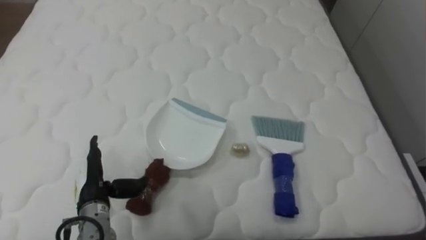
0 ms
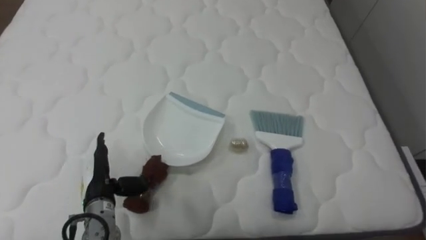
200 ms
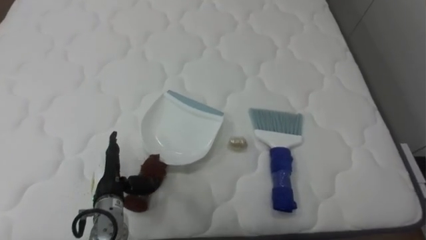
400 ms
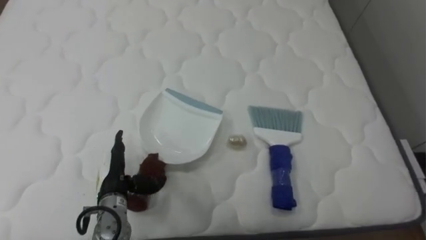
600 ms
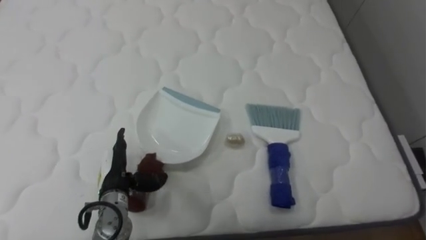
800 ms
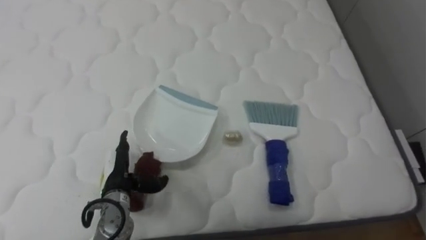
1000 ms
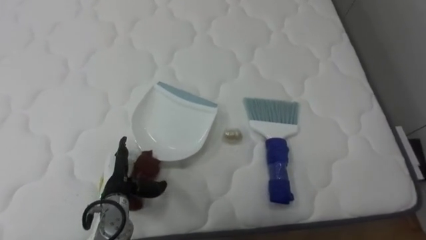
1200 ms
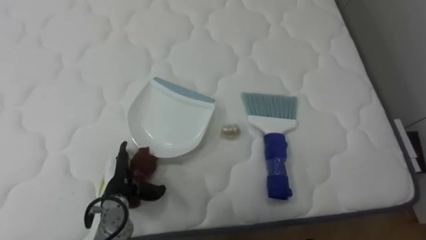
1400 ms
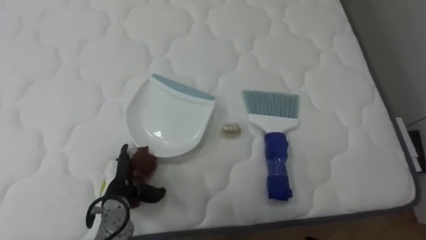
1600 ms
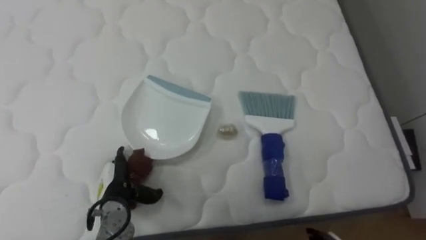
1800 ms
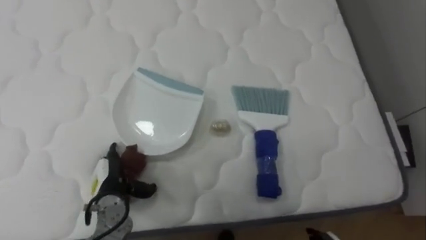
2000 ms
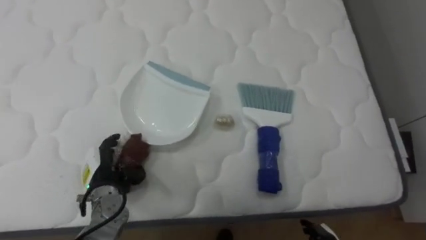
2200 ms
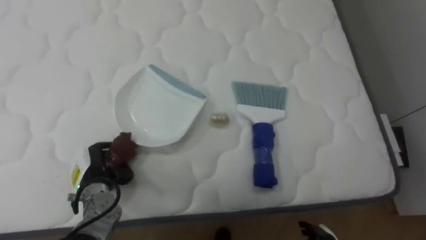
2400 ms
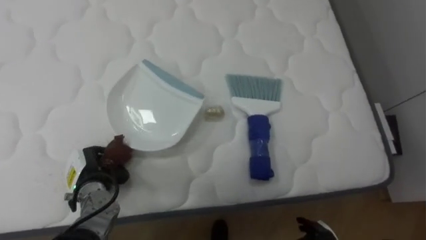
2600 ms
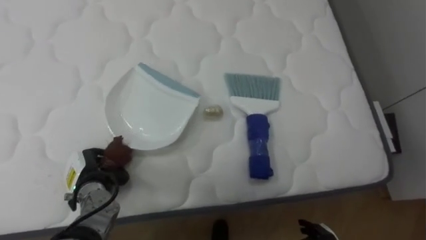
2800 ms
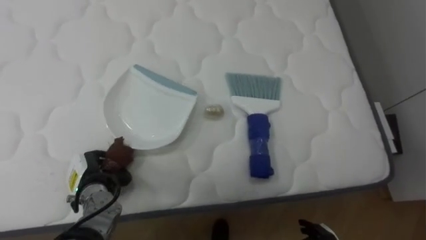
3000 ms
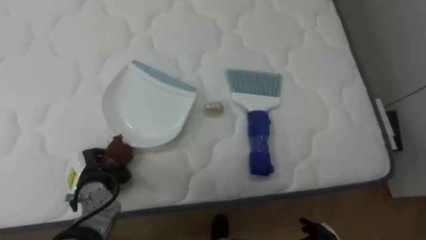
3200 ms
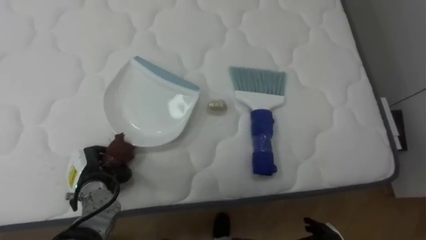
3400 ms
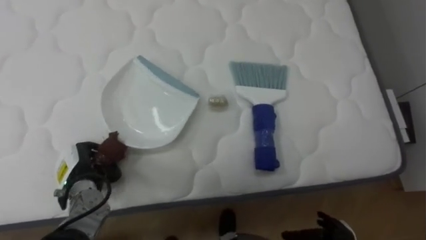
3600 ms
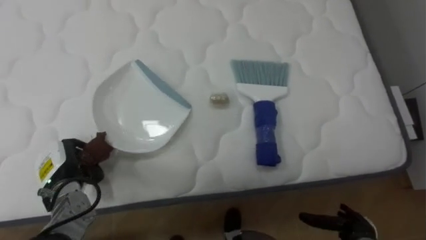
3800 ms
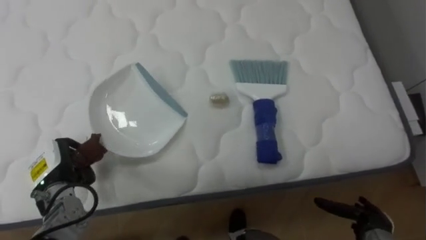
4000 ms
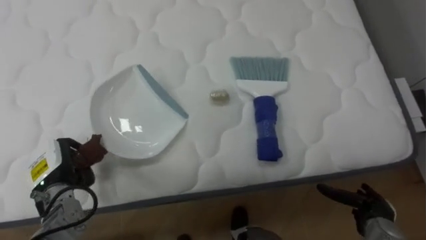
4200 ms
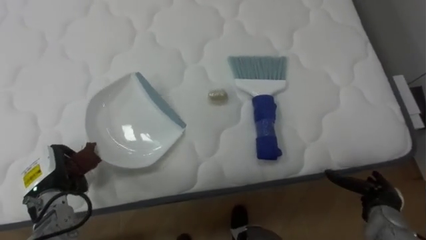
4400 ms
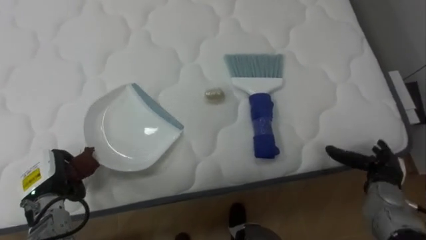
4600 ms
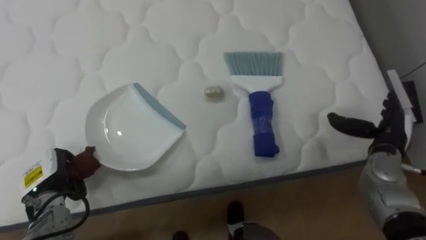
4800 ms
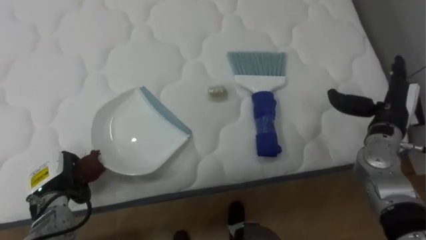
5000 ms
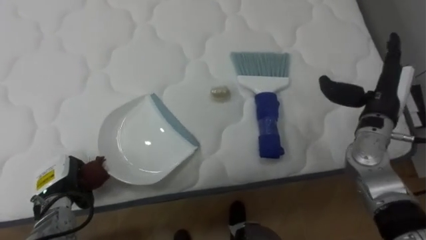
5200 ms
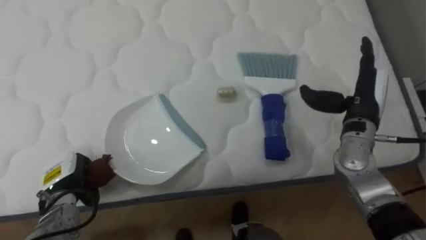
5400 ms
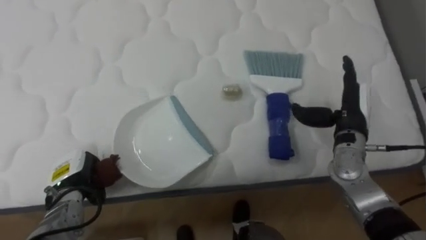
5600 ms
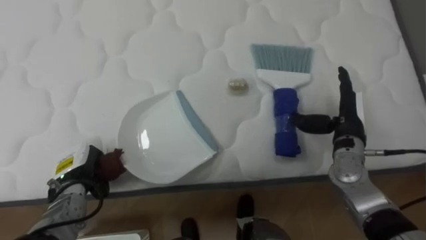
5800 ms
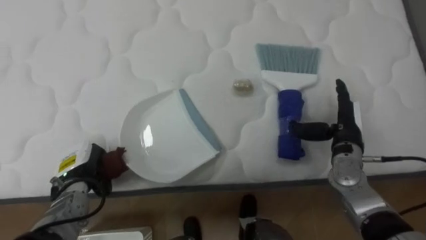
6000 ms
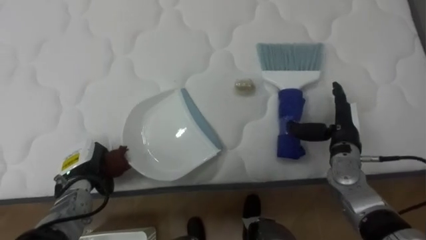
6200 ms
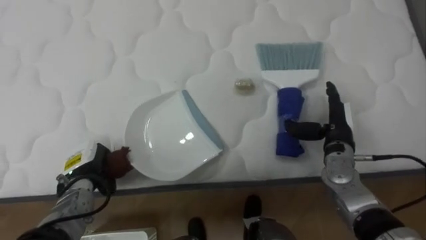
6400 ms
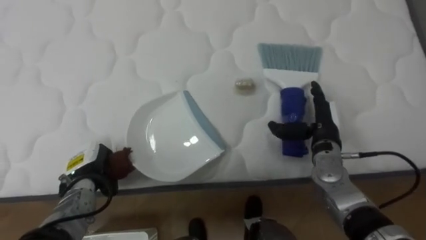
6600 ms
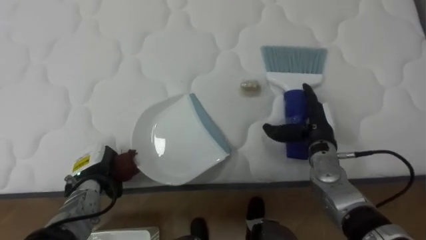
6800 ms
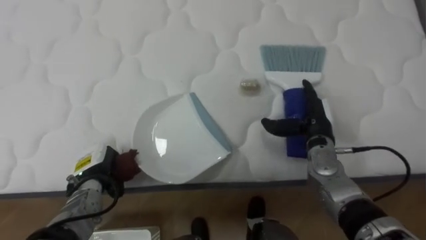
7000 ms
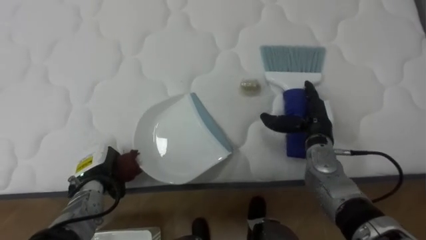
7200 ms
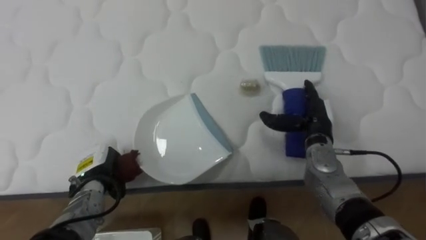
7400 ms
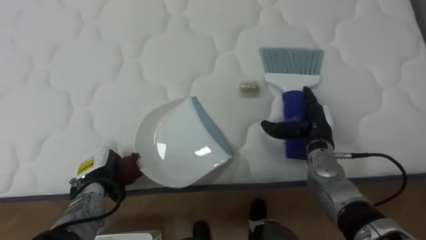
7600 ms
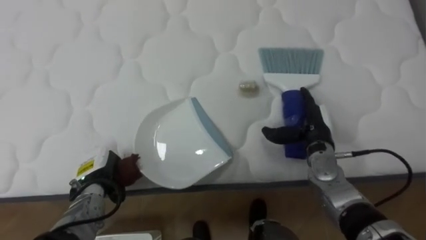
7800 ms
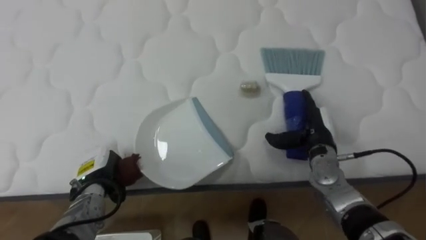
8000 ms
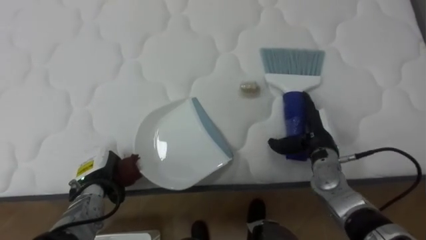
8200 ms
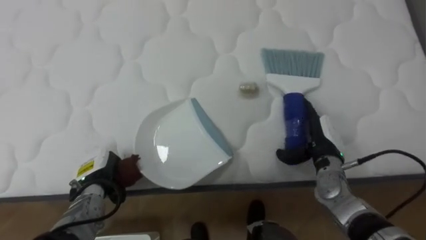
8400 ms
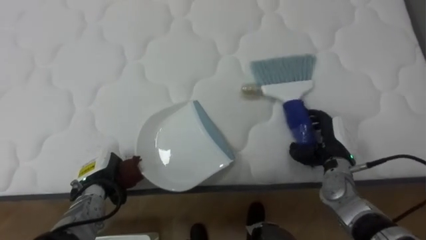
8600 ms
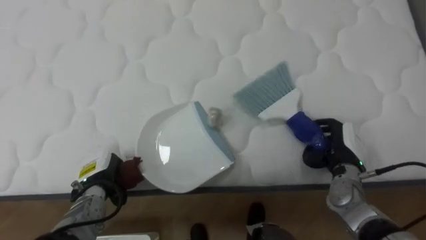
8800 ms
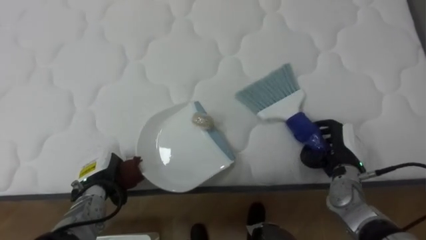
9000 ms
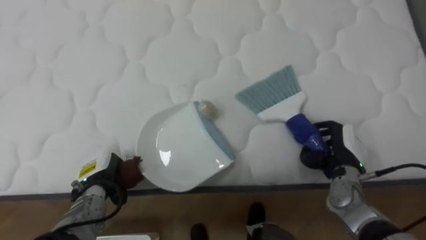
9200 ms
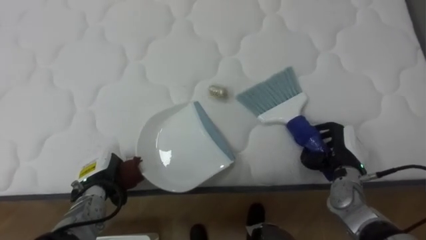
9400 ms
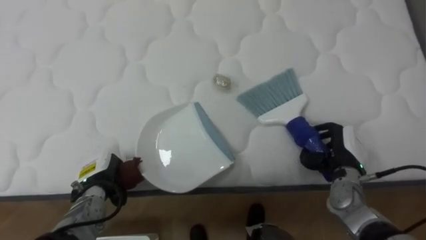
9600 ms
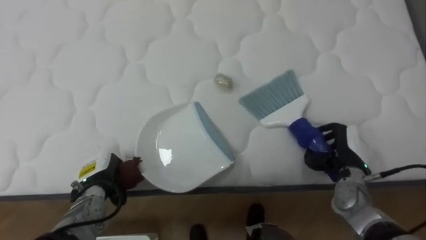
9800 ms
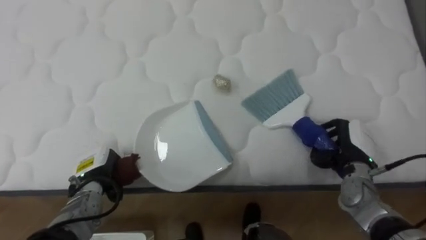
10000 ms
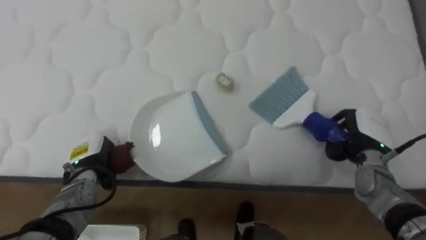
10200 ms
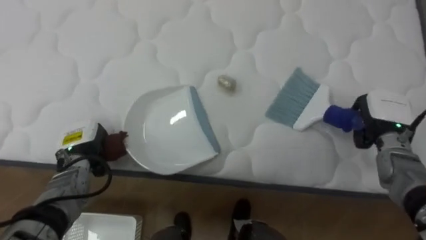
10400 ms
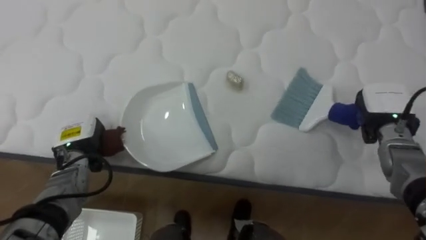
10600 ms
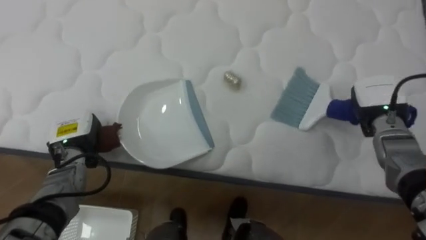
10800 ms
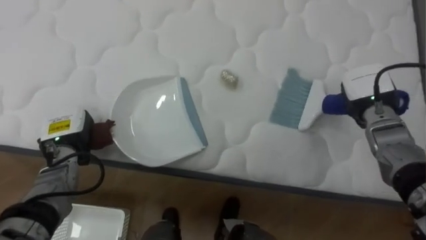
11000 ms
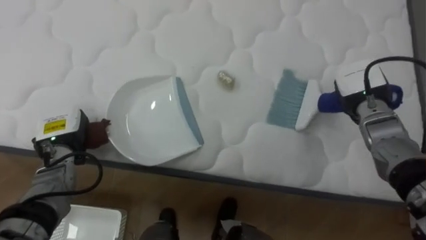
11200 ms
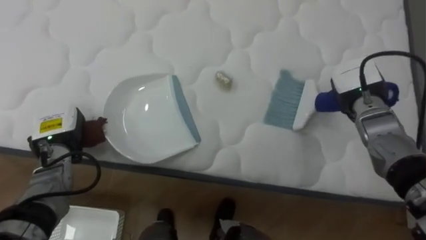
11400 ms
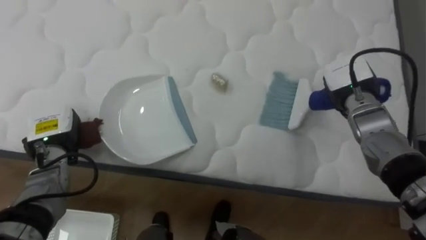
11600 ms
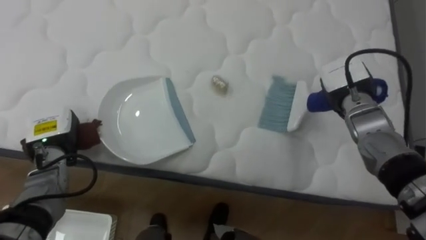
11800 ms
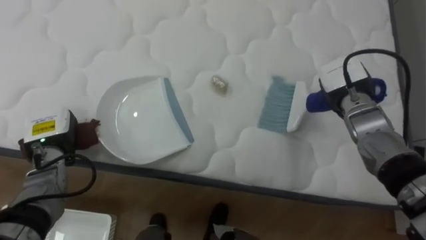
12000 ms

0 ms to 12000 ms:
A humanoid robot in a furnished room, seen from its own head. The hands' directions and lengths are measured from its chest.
Task of the whole recording: Pick up the brush on your right and the dustpan on your left. Use the brush to sweep the crumpled paper on the bed into the dustpan, then turn left and empty it into the basket.
0 ms to 1600 ms: The left hand shifts by some 5 cm.
1600 ms to 3000 ms: The left hand moves to the left, some 5 cm, and closes its fingers.
3000 ms to 4400 ms: The left hand shifts approximately 5 cm to the left.
4400 ms to 6000 ms: The right hand moves upward, forward and to the left, about 20 cm. Meanwhile the left hand shifts by about 5 cm.
6000 ms to 7600 ms: The right hand moves to the left, some 5 cm.
7600 ms to 9000 ms: The right hand is displaced to the right by some 5 cm, and closes.
9000 ms to 10400 ms: The left hand heads upward, covering some 5 cm, while the right hand is displaced to the right and upward by roughly 10 cm.
10400 ms to 12000 ms: The right hand is displaced to the left, forward and upward by some 10 cm. The left hand changes place by roughly 5 cm.

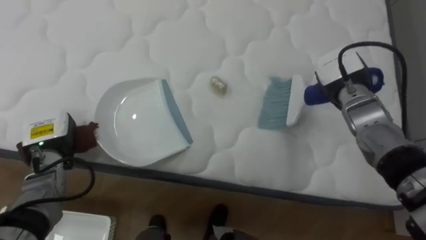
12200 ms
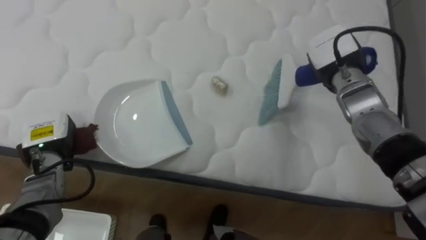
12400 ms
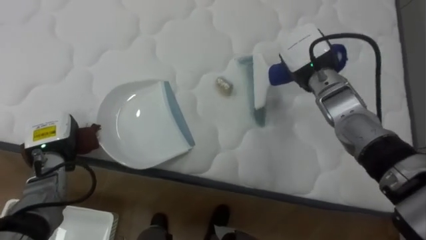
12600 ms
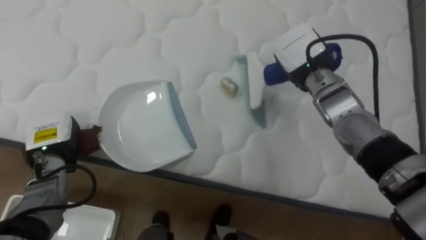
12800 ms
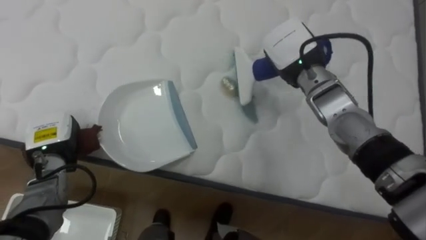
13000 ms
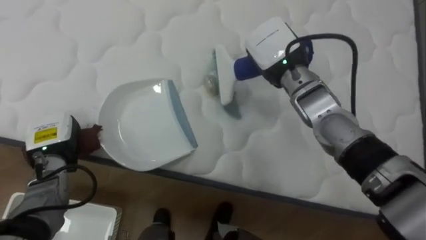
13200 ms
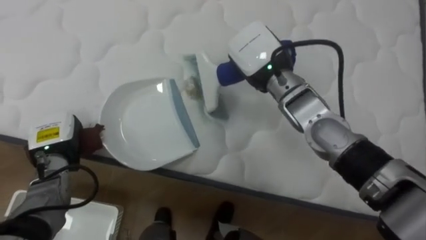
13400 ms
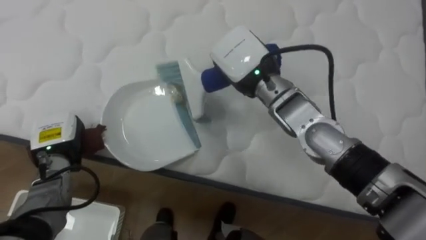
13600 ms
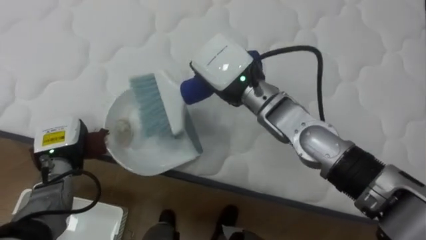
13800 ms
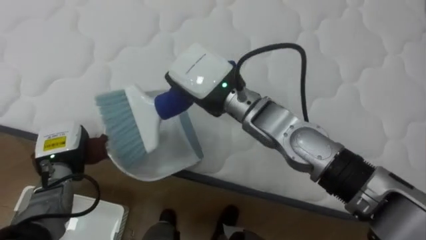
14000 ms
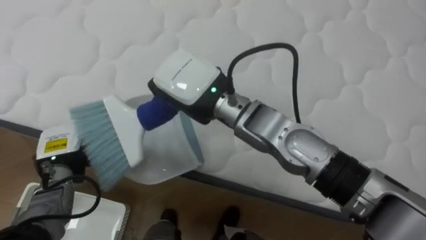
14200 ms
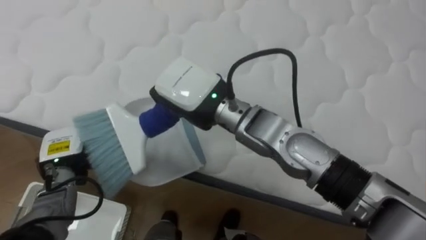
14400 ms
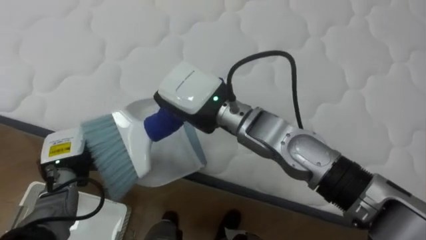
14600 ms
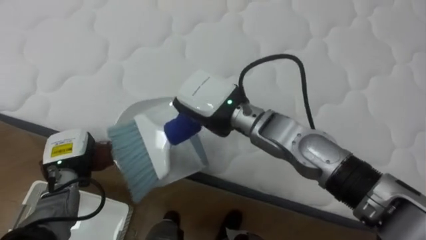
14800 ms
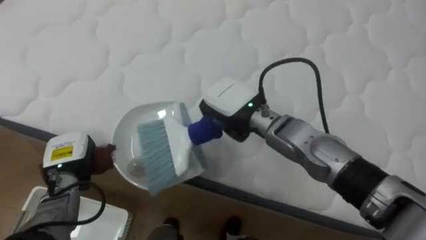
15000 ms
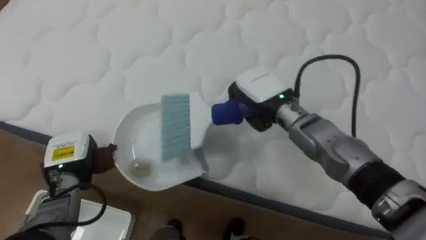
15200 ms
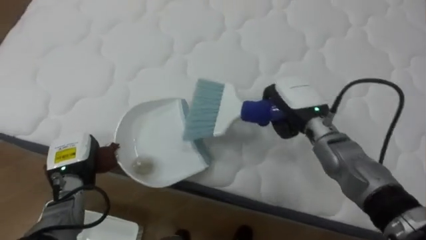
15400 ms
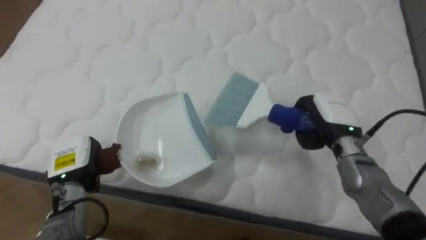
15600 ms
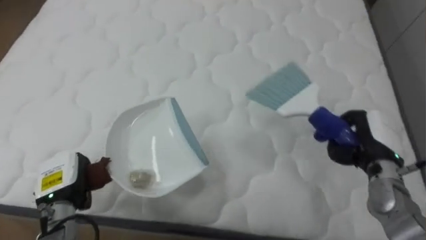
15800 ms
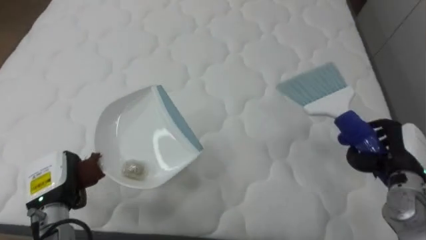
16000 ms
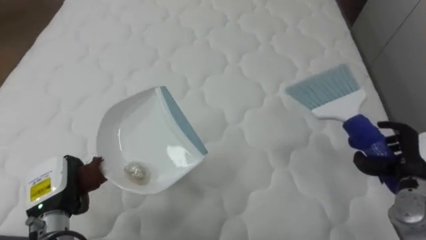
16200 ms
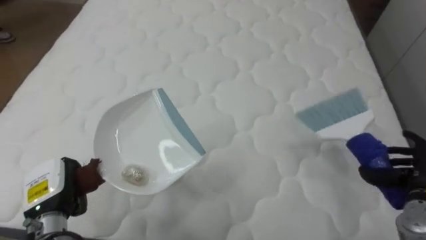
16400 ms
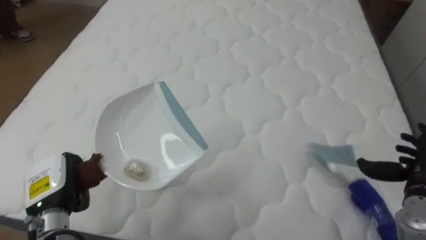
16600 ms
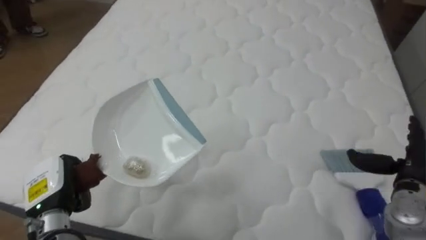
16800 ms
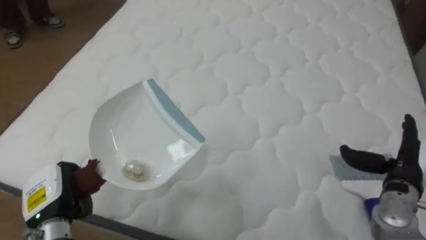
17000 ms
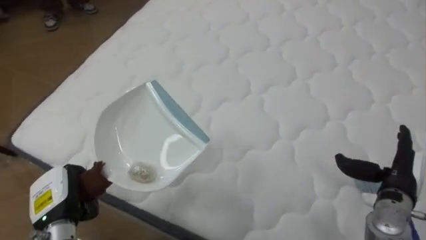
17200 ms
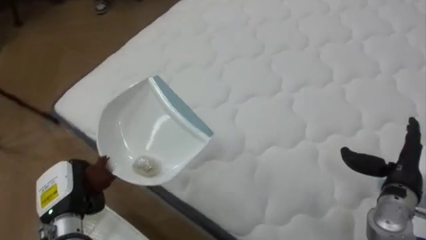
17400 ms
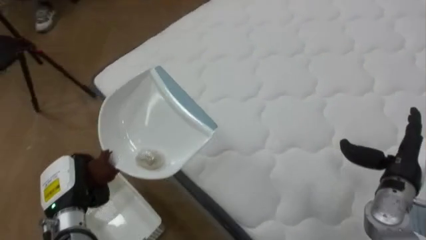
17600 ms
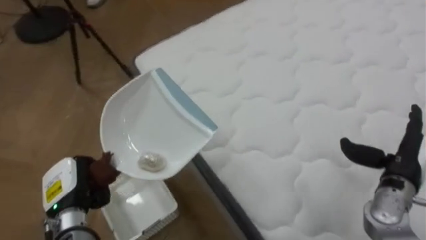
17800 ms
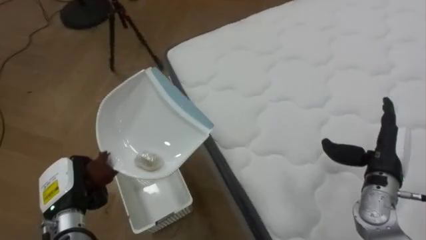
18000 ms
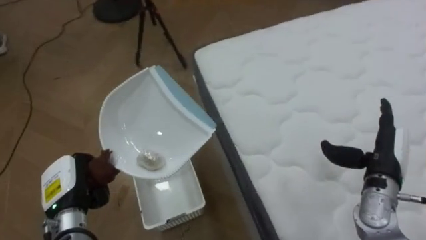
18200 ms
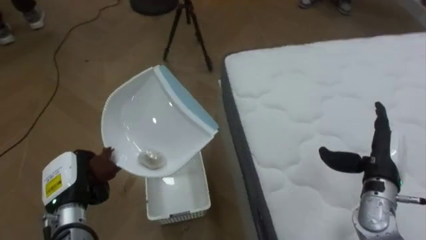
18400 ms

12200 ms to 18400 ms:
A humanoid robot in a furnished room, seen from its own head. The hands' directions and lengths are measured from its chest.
Task of the whole recording: Pick up the brush on your right and the dustpan on your left. Use the brush to sweep the crumpled paper on the bed into the dustpan, then turn left and empty it into the basket.
12200 ms to 13800 ms: The right hand moves to the left, roughly 20 cm.
13800 ms to 15400 ms: The right hand goes about 15 cm to the right and downward.
15400 ms to 16800 ms: The right hand moves to the right and backward, roughly 25 cm, and opens up, while the left hand heads backward, covering approximately 5 cm.
16800 ms to 18400 ms: The robot rotates roughly 70 degrees to its left. The right hand moves to the left, some 5 cm.
